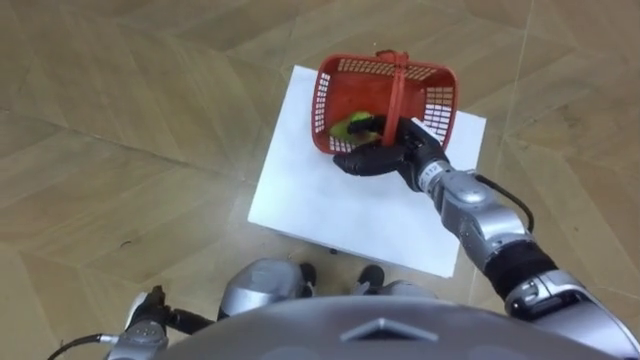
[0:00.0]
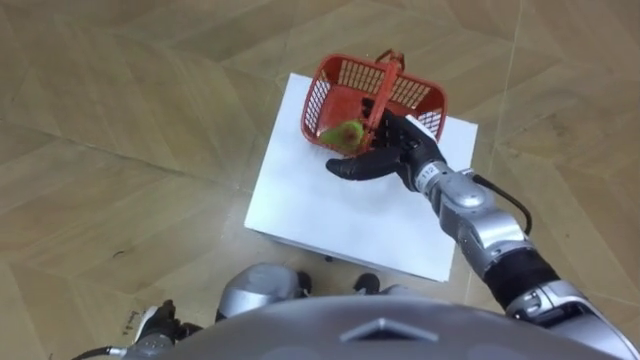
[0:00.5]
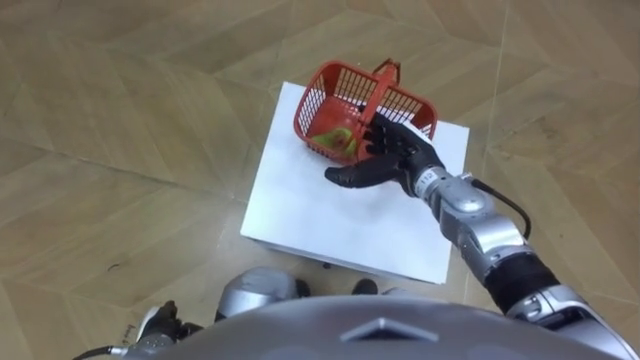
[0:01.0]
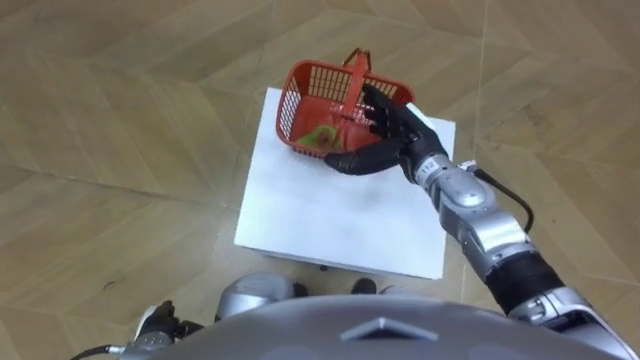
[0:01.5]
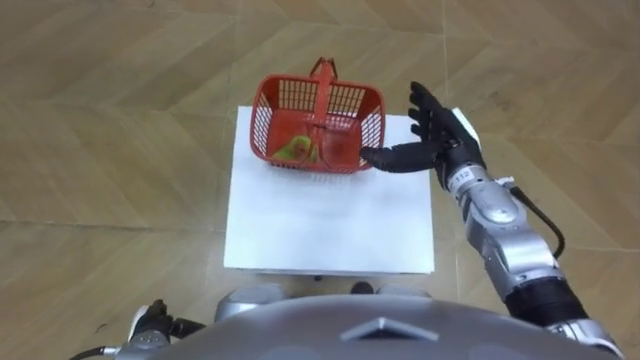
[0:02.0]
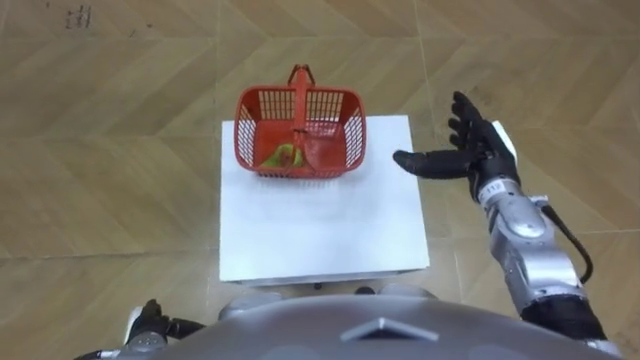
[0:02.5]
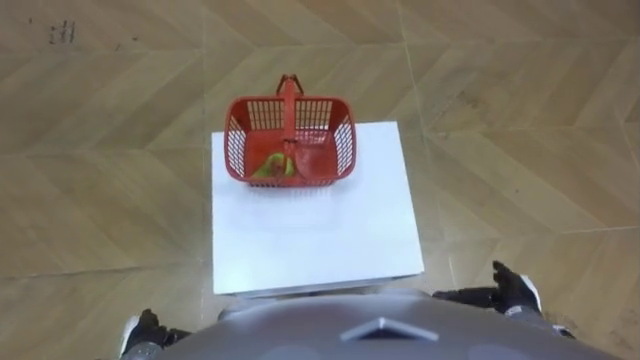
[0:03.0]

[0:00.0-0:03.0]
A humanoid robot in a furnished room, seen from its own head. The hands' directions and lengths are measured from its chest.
Task of the whole recording: Pick up the fruit basket from the floor and place it on the cabinet.
0:00.0 to 0:01.5: The right hand opens.
0:01.5 to 0:03.0: The right hand travels backward, to the right and downward by some 30 cm.

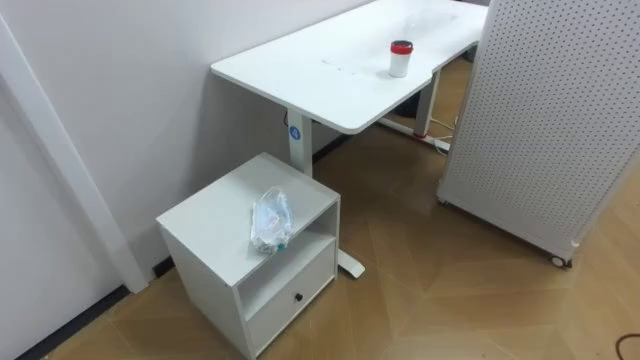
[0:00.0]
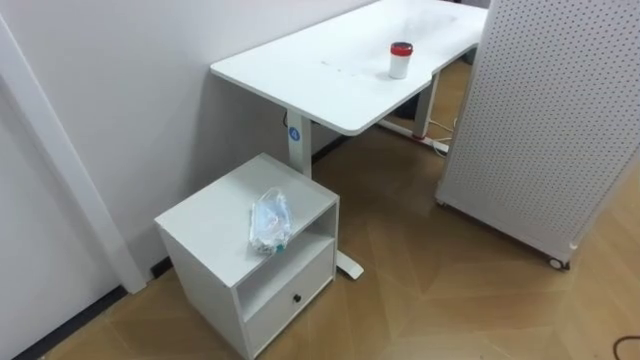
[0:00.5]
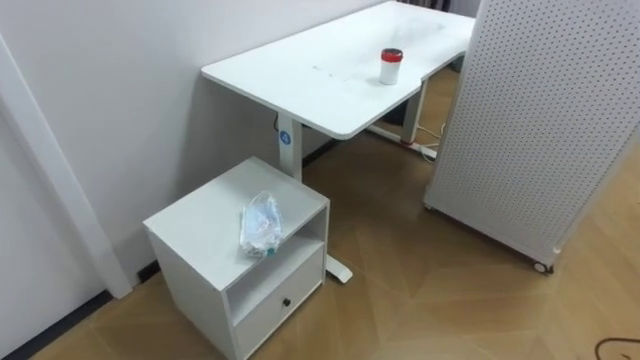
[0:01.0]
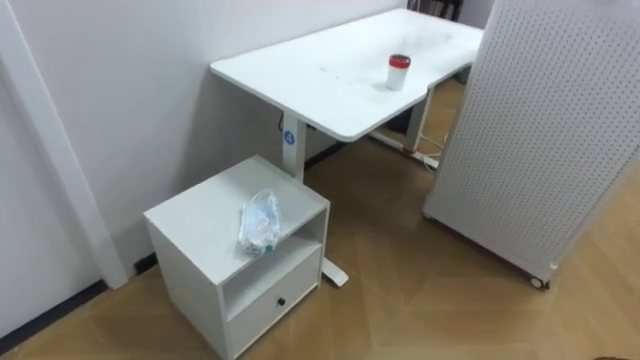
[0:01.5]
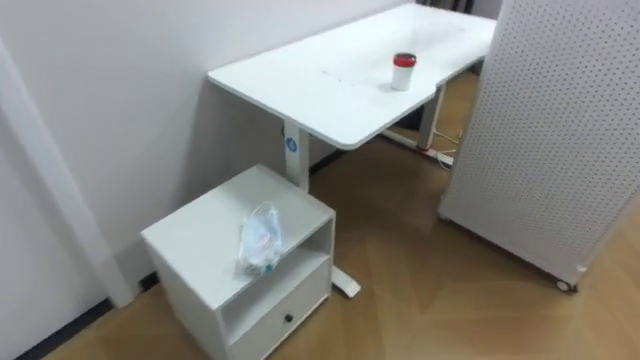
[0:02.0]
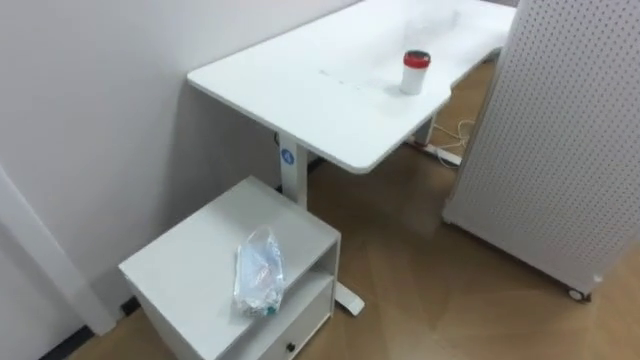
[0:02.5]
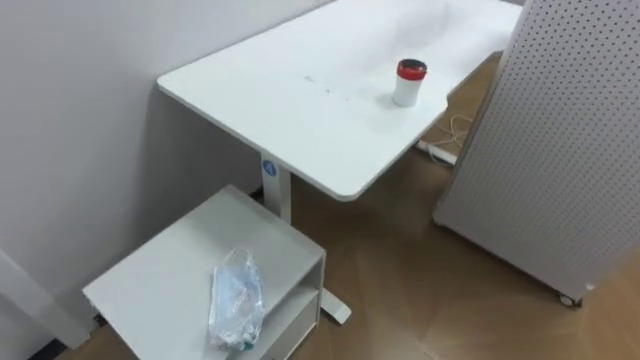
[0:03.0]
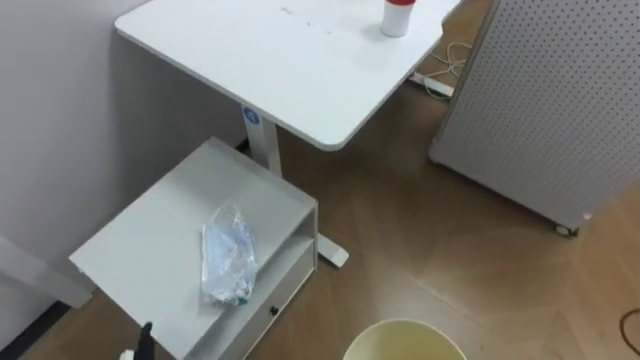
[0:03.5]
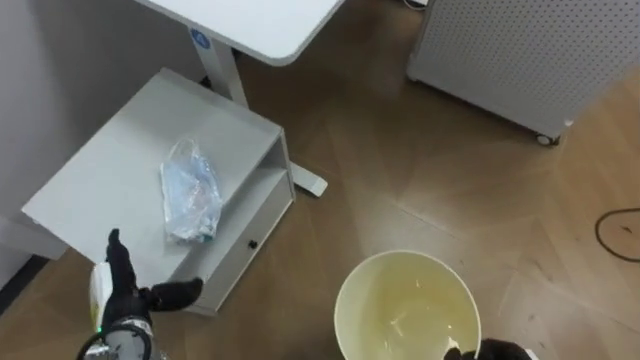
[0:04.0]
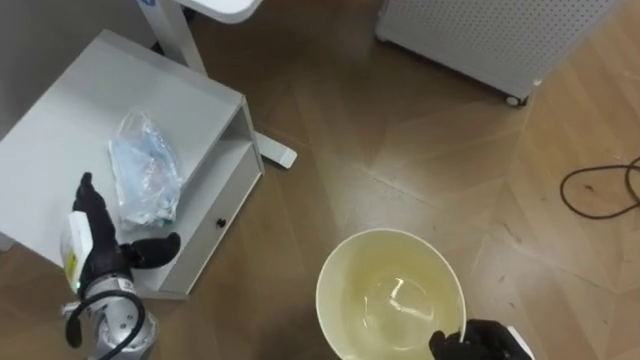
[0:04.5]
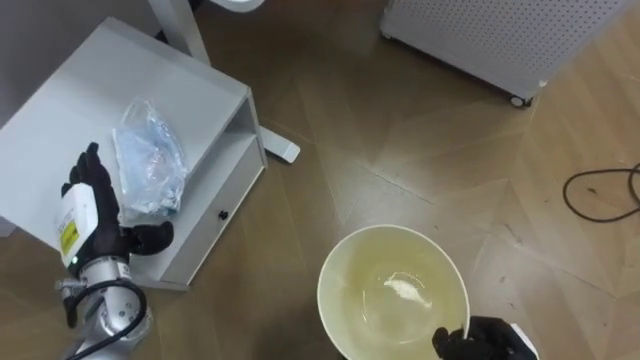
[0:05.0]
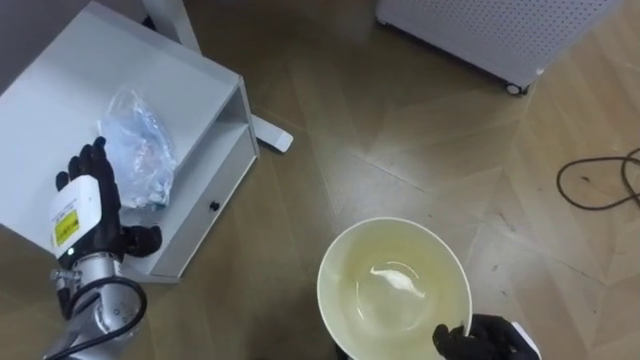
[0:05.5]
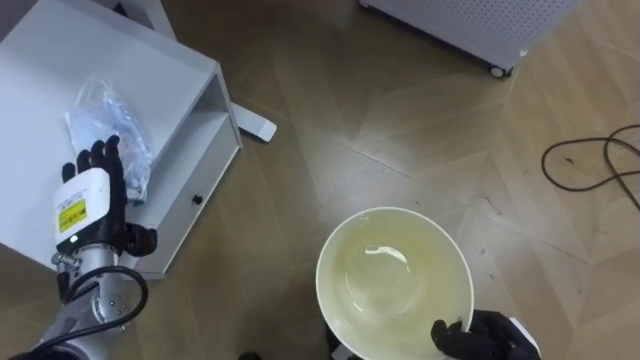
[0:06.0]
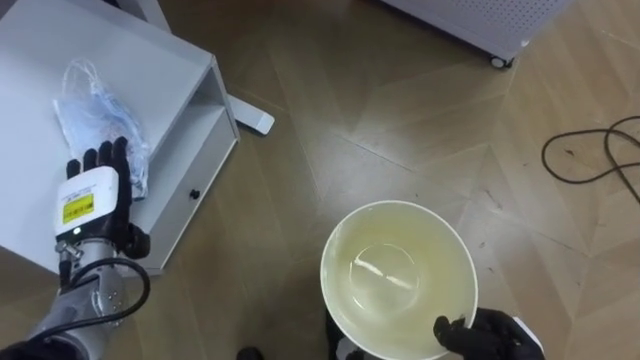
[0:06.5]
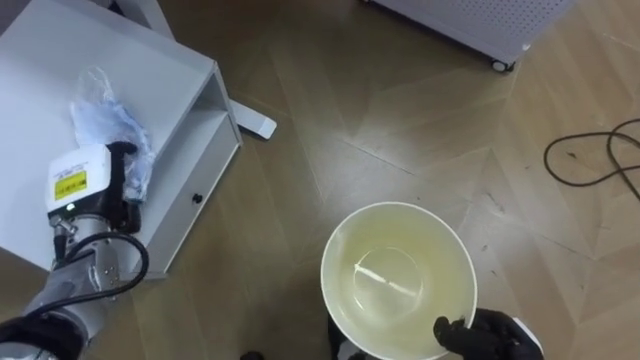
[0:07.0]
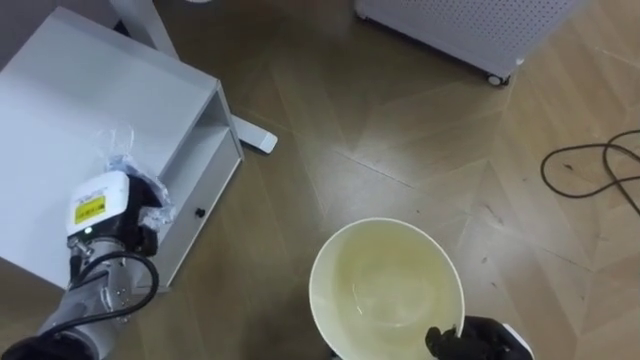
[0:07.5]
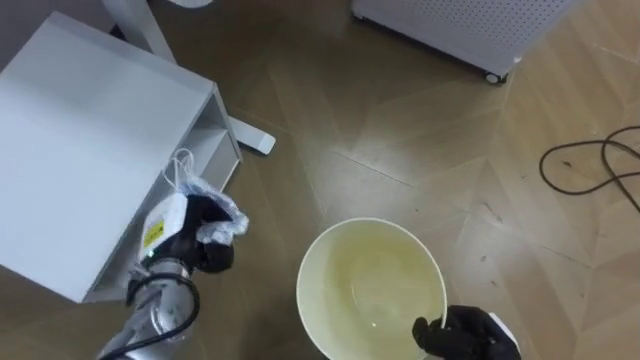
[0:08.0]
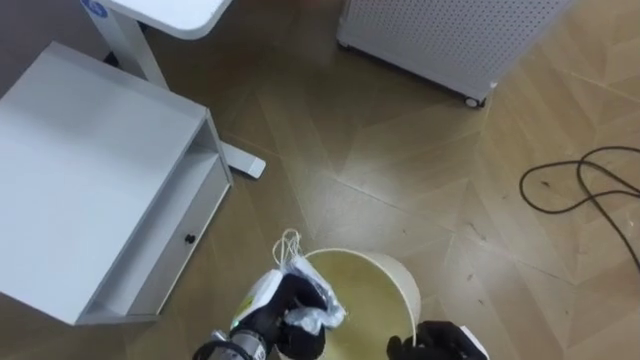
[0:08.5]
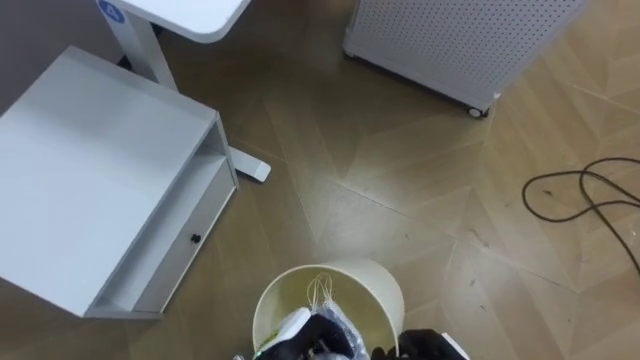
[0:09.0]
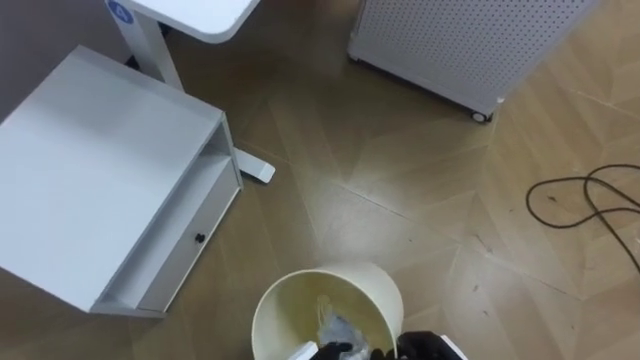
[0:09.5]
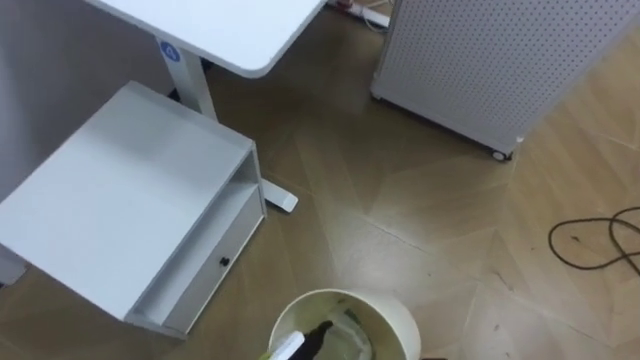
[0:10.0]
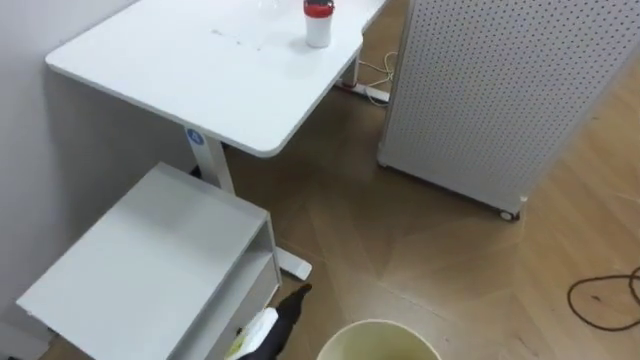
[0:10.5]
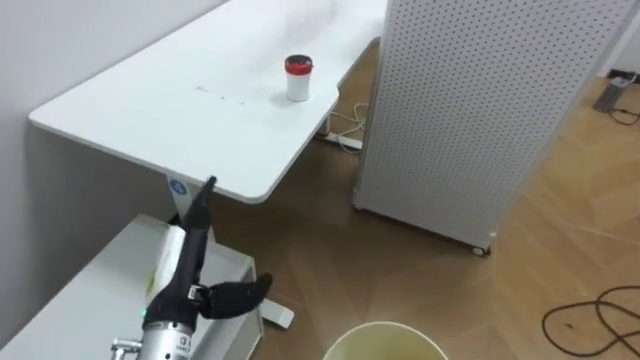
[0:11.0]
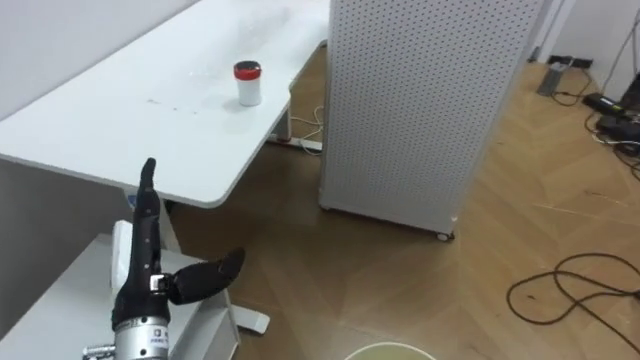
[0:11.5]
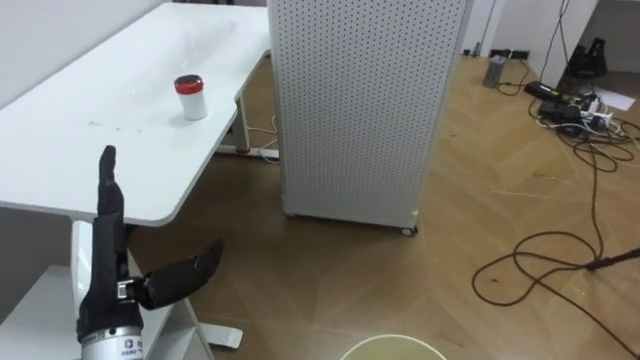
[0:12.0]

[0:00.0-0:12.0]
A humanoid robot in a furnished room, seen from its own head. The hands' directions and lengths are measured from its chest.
Task of the whole recording: Pick up the light blue package, the candy box, and the dark blue package separately, and put them into the trash can held in your right hand.
0:04.0 to 0:06.0: The left hand goes about 10 cm upward and forward.
0:06.0 to 0:08.0: The left hand shifts about 10 cm to the right, and closes.
0:10.0 to 0:12.0: The robot rotates some 25 degrees to its right.

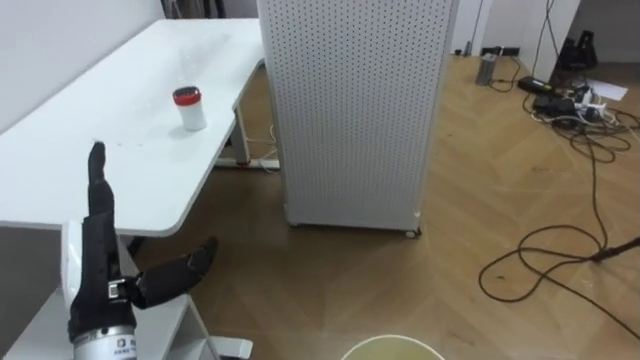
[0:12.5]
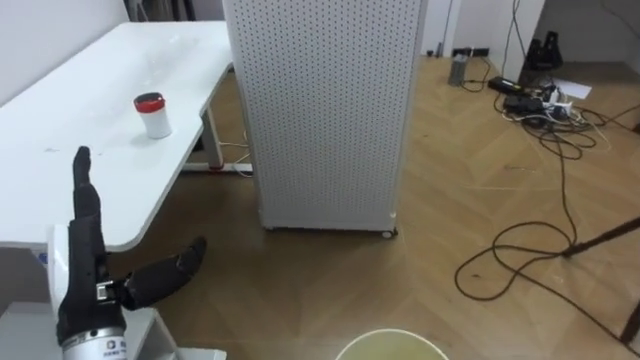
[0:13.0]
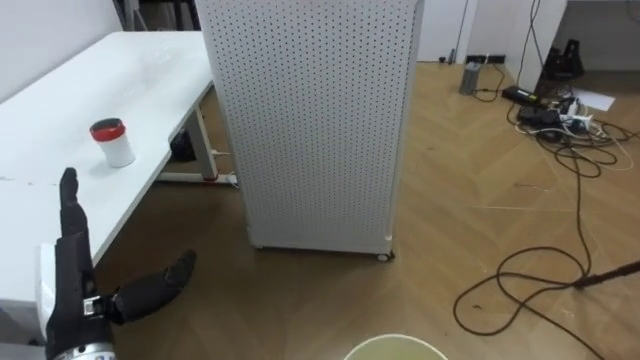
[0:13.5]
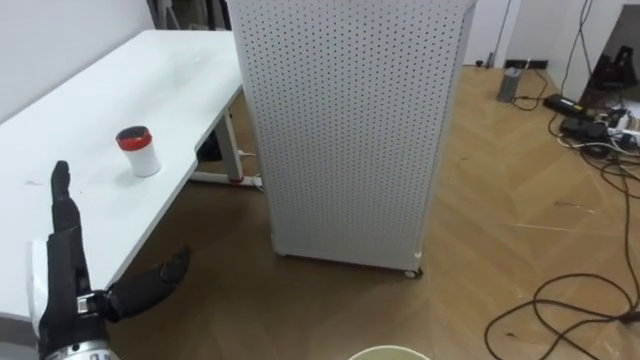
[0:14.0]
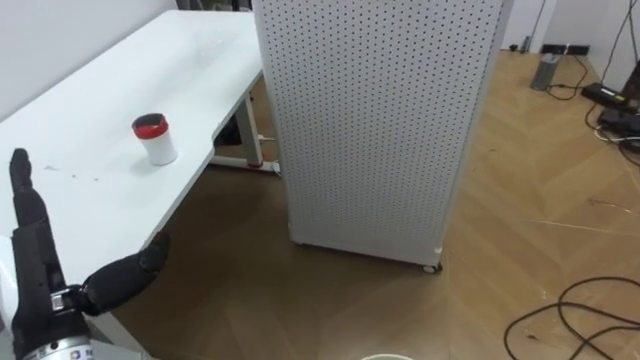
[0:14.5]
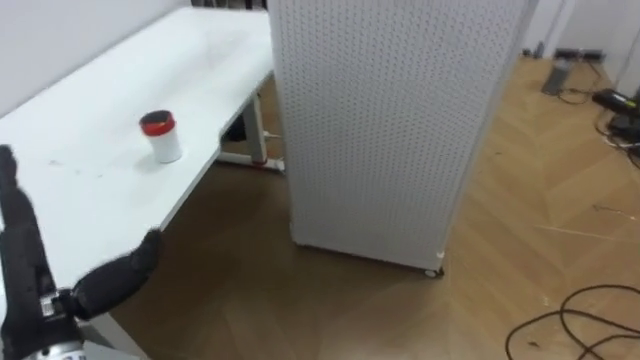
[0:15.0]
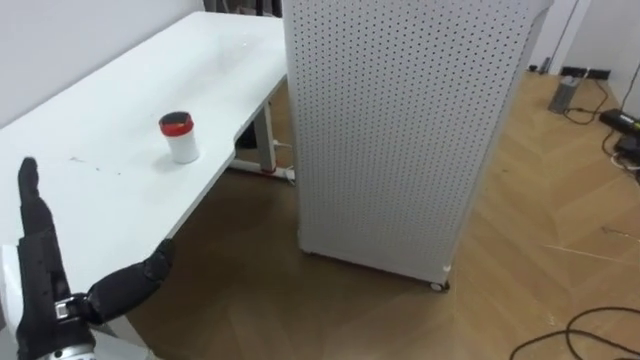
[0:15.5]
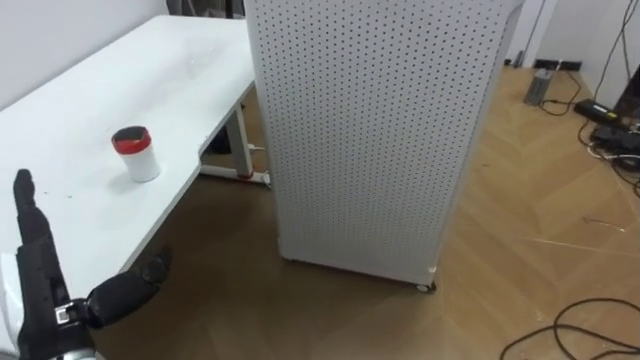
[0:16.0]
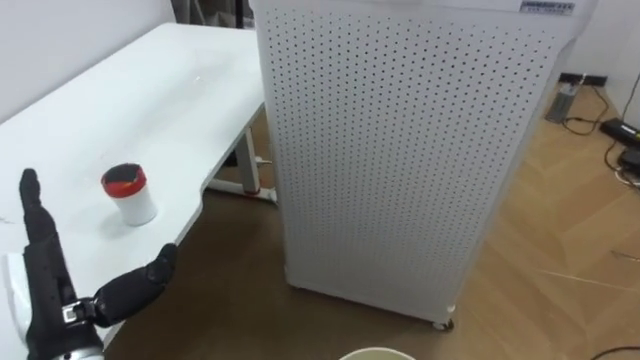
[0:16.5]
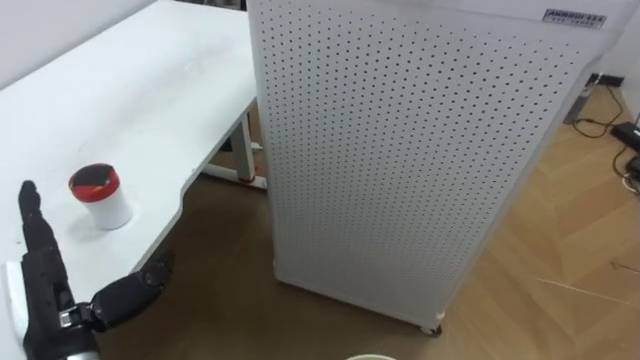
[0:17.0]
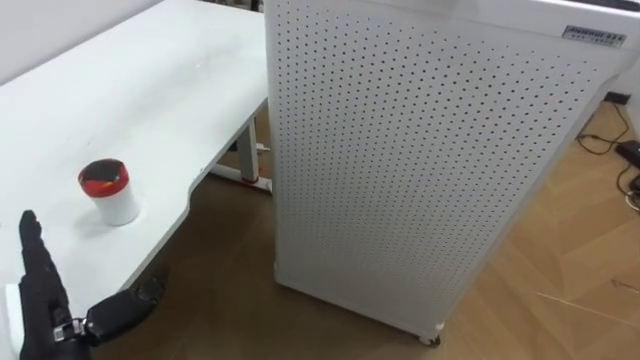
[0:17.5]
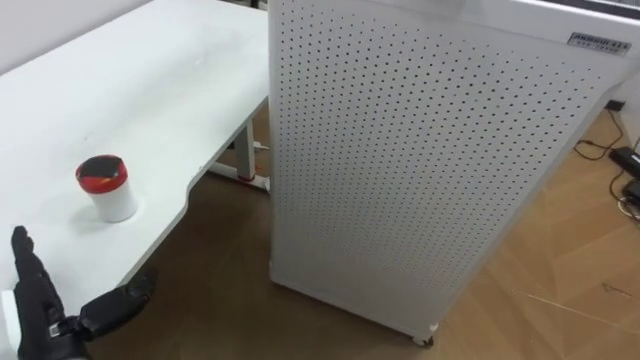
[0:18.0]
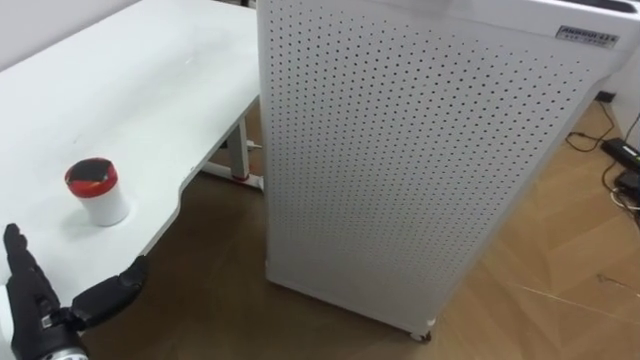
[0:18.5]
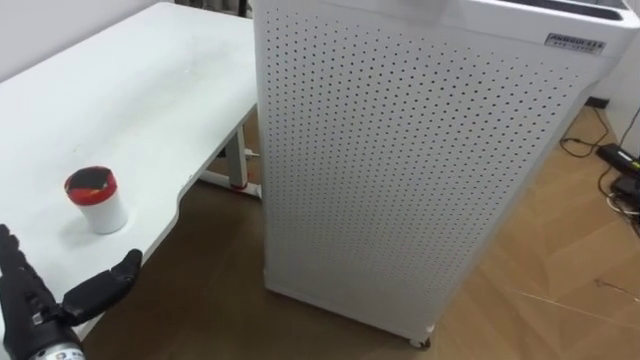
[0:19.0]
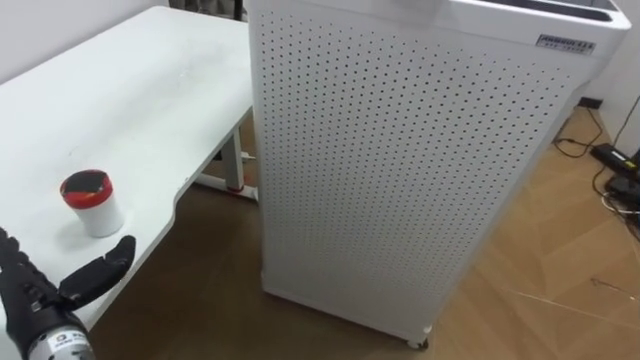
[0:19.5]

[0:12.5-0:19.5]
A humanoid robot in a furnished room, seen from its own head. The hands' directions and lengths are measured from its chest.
Task of the whole recording: Pick up the light blue package, the candy box, and the dark blue package separately, and put them into the trash can held in your right hand.
0:17.5 to 0:19.5: The left hand shifts by some 5 cm.
